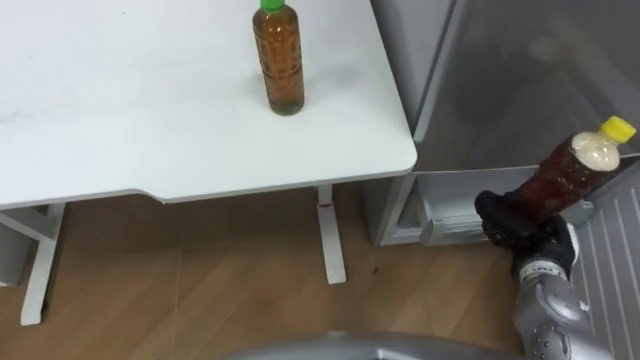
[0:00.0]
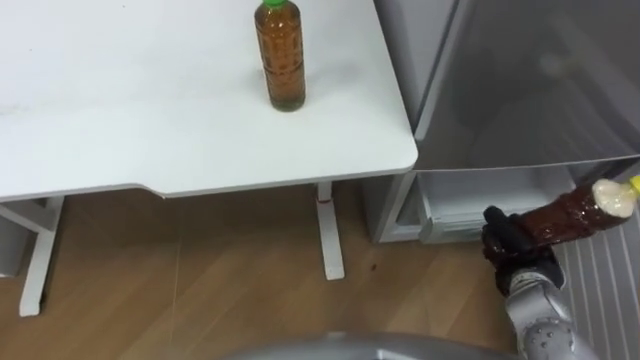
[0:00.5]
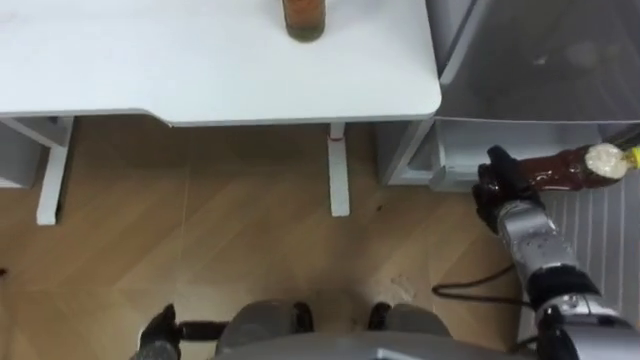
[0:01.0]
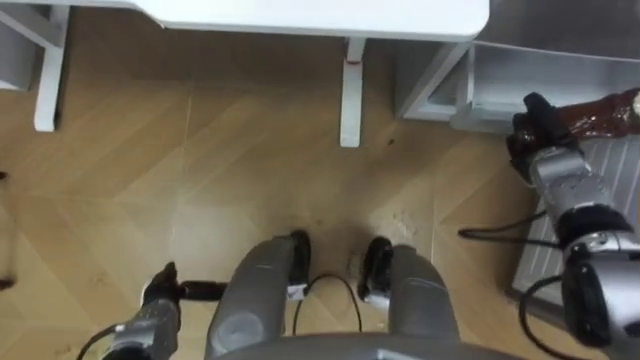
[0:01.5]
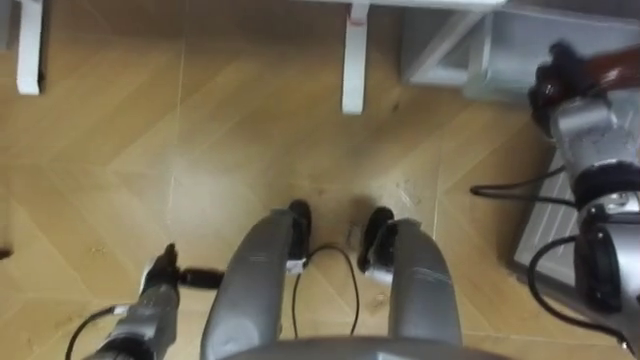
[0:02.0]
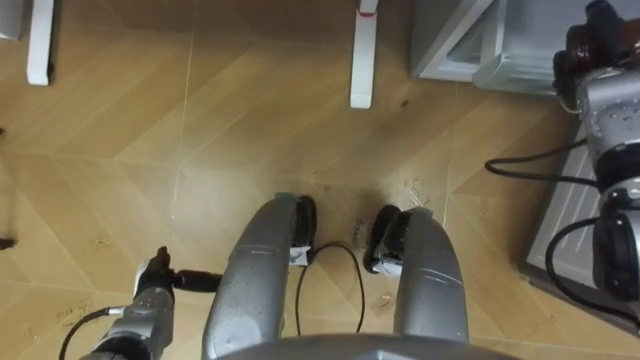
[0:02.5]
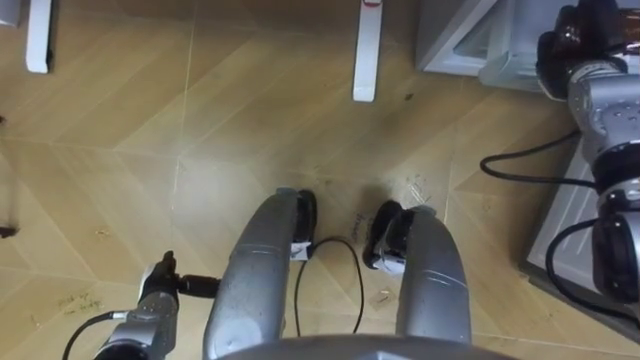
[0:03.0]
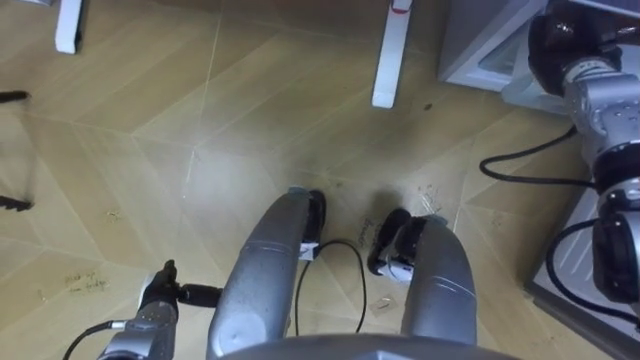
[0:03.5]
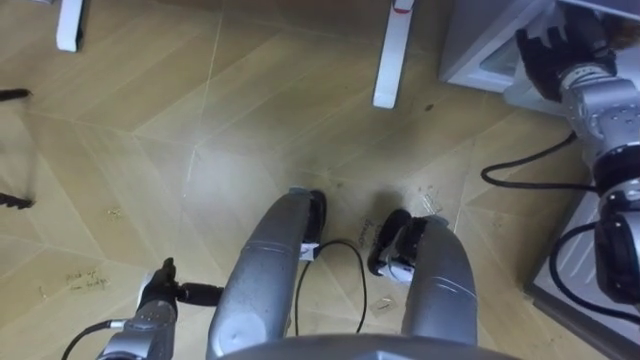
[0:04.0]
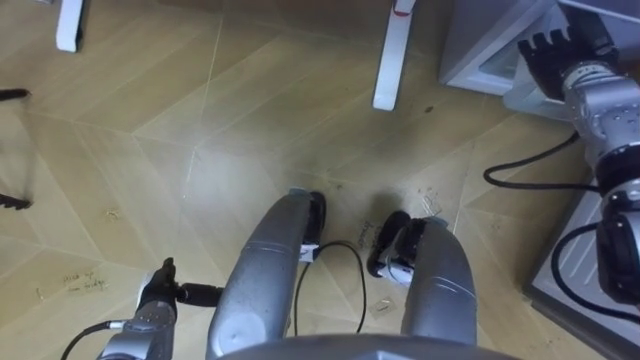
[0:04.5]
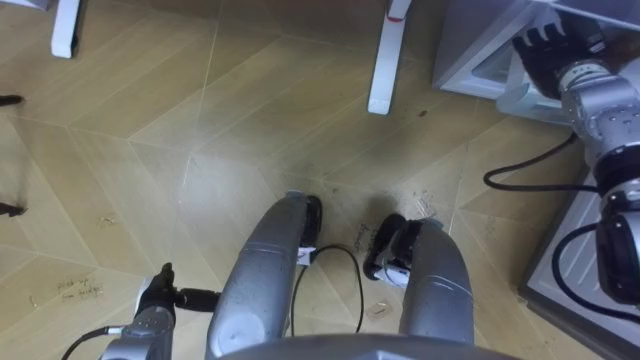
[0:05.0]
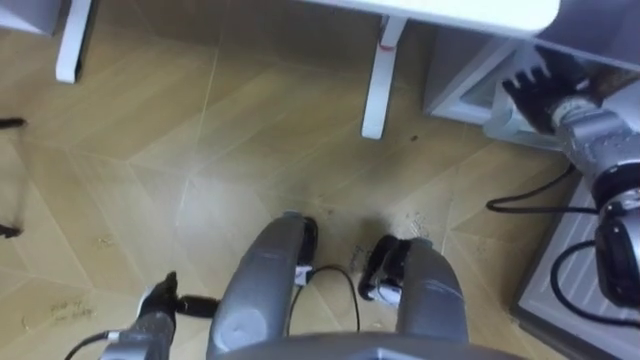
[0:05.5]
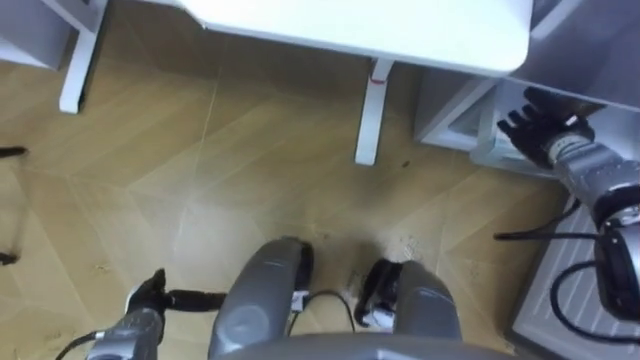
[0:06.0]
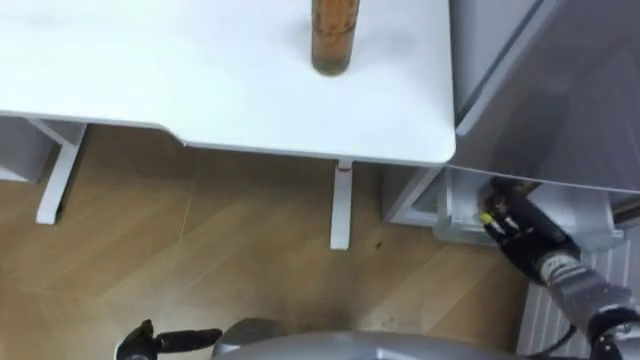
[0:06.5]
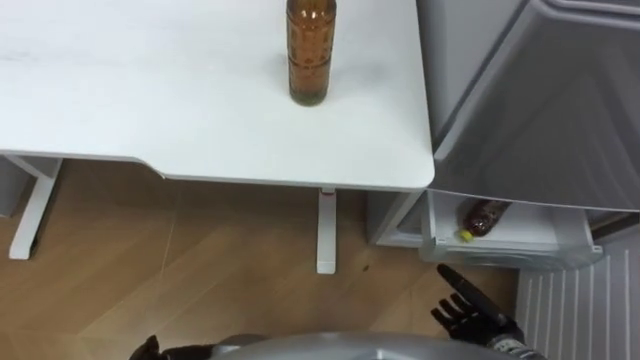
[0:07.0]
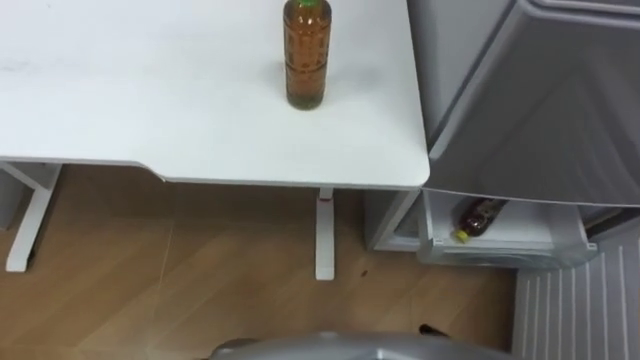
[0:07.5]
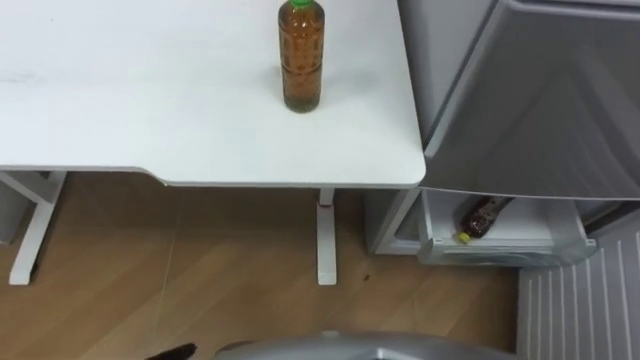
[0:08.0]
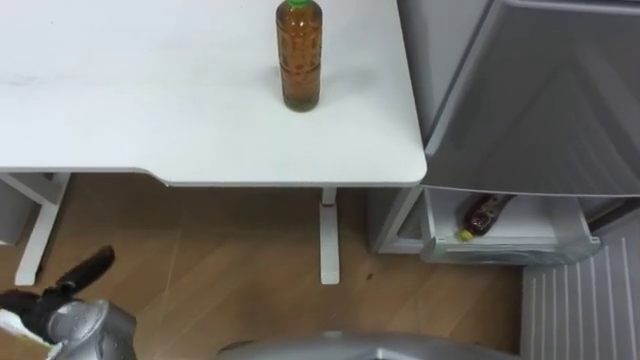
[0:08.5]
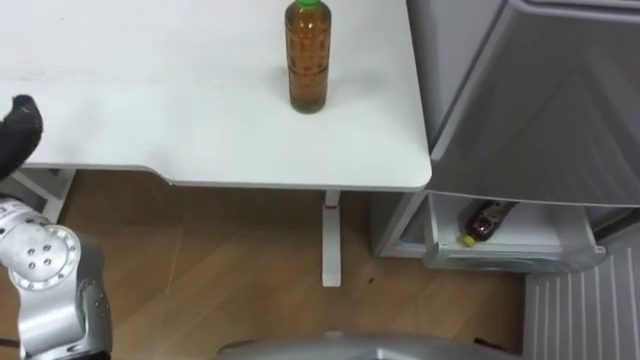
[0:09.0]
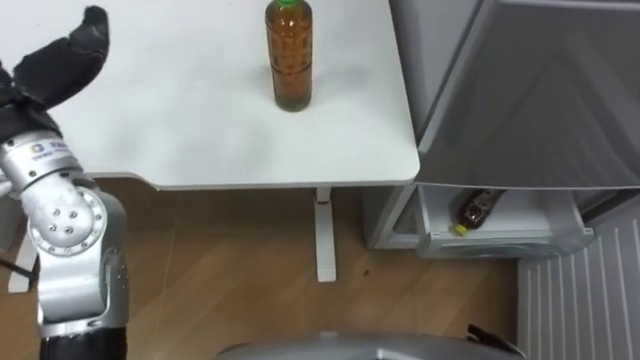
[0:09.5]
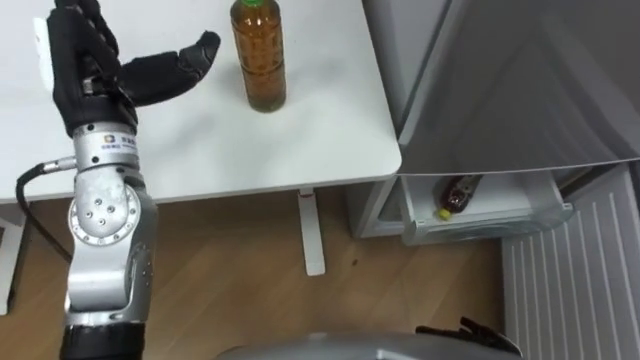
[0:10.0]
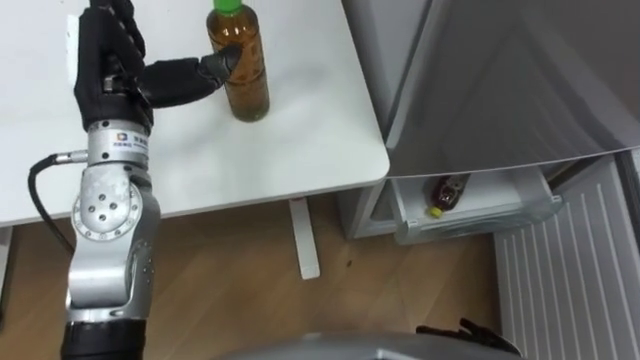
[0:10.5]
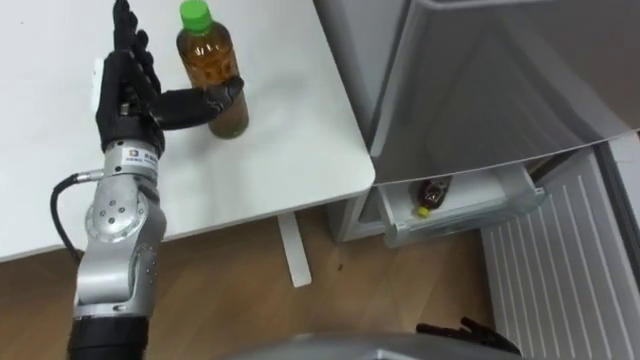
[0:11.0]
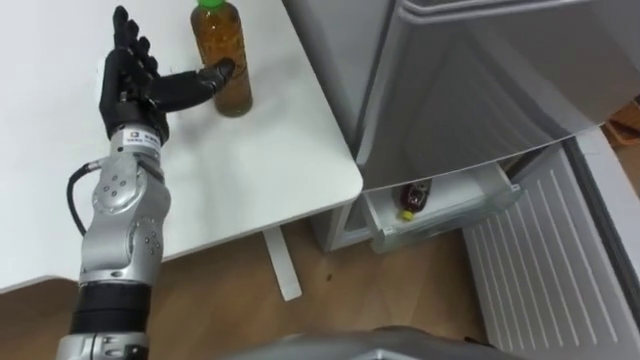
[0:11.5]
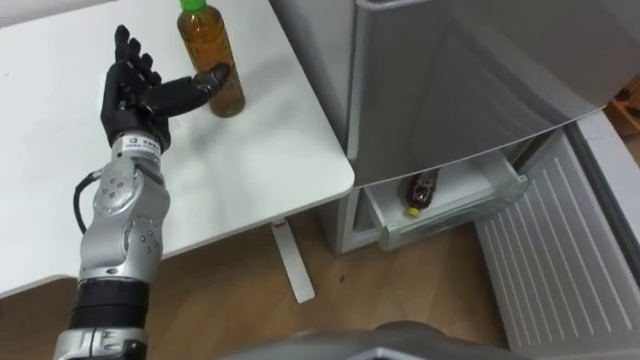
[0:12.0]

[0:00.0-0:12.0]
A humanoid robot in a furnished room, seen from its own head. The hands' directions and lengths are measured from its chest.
Task of the whole recording: Place the drink on the table on the bottom shelf of the refrigerator, then close the drawer and the refrigerator door.
0:00.0 to 0:02.0: The right hand moves forward, some 20 cm.
0:02.0 to 0:04.0: The right hand moves approximately 5 cm, and opens.
0:04.0 to 0:06.0: The right hand shifts roughly 10 cm downward and backward.
0:10.0 to 0:12.0: The left hand is displaced downward by some 10 cm.

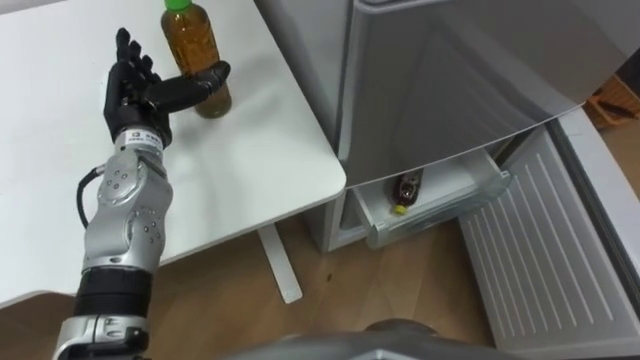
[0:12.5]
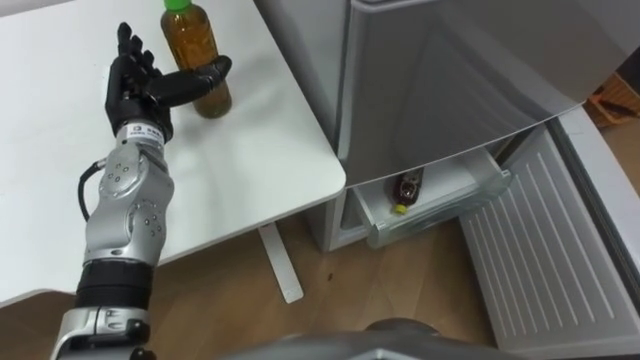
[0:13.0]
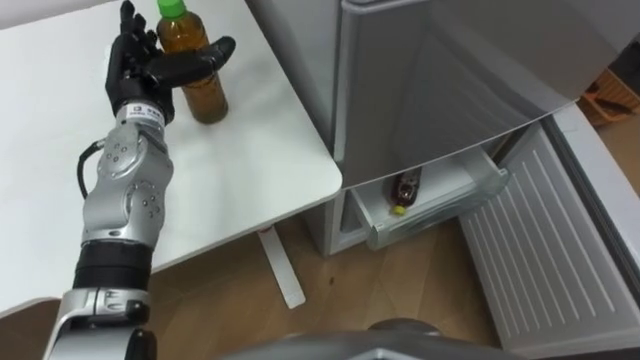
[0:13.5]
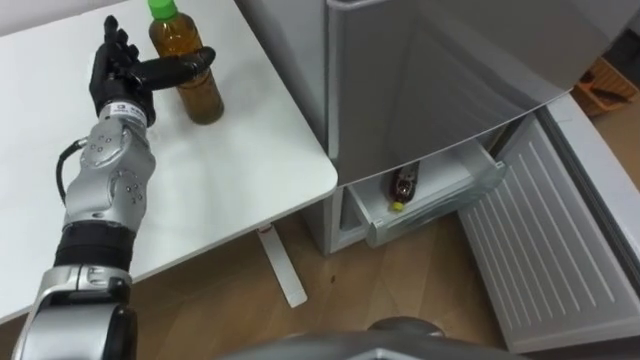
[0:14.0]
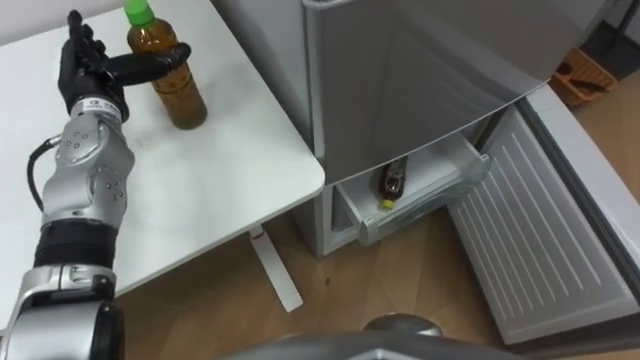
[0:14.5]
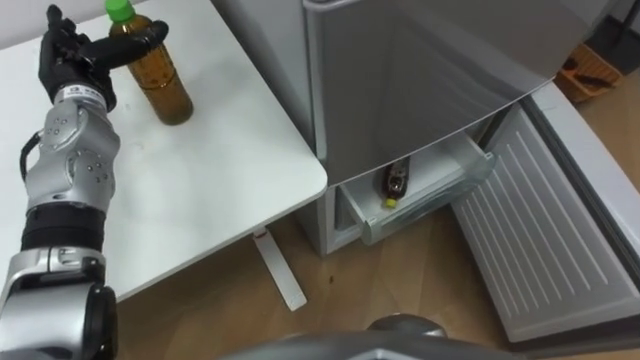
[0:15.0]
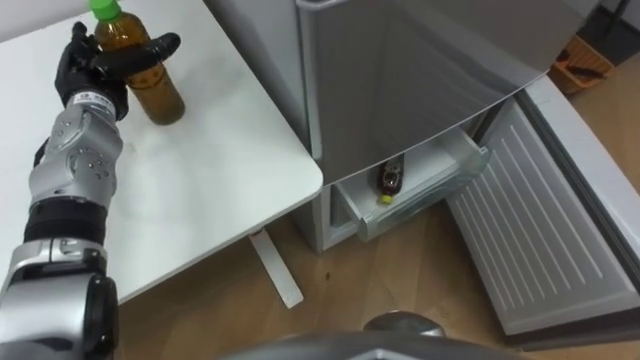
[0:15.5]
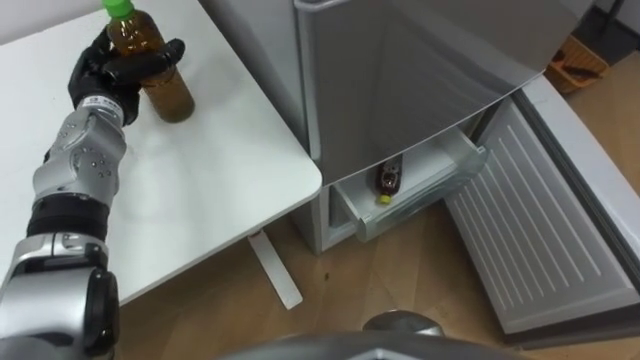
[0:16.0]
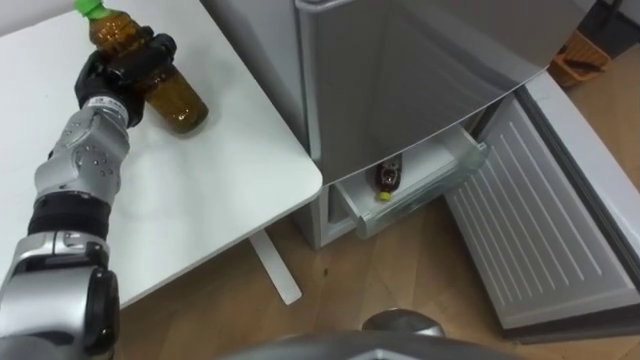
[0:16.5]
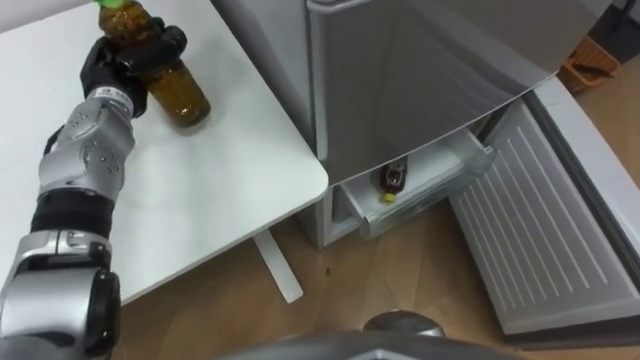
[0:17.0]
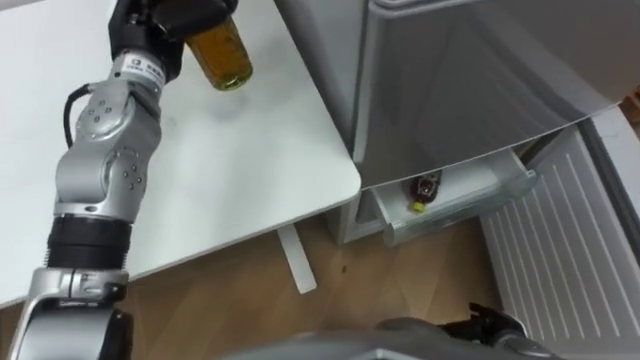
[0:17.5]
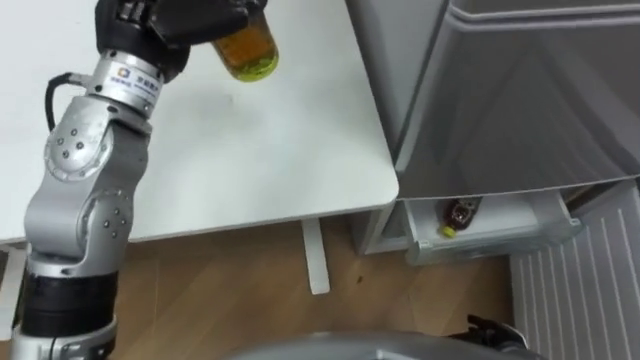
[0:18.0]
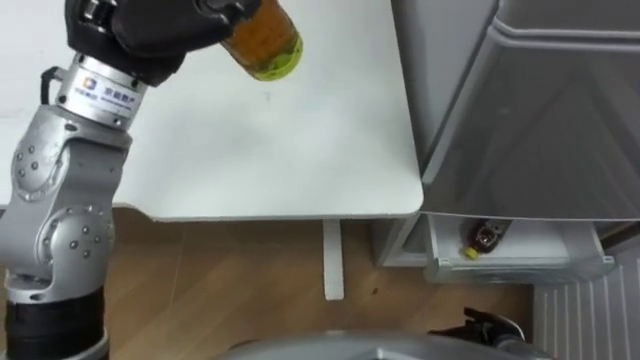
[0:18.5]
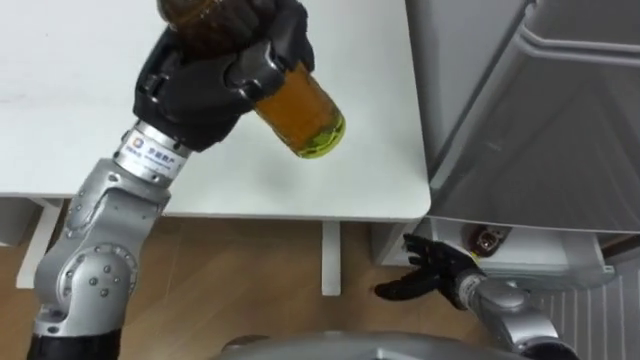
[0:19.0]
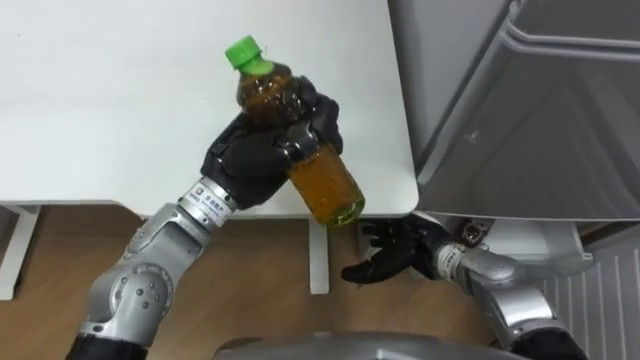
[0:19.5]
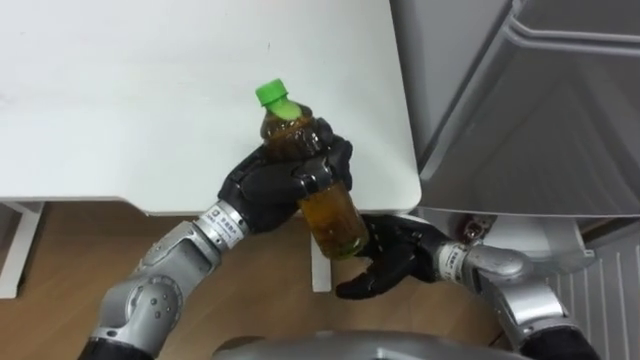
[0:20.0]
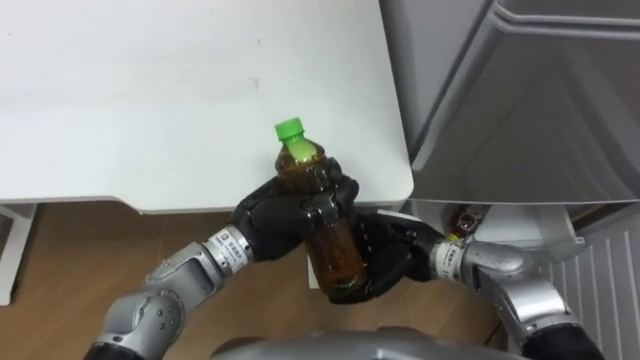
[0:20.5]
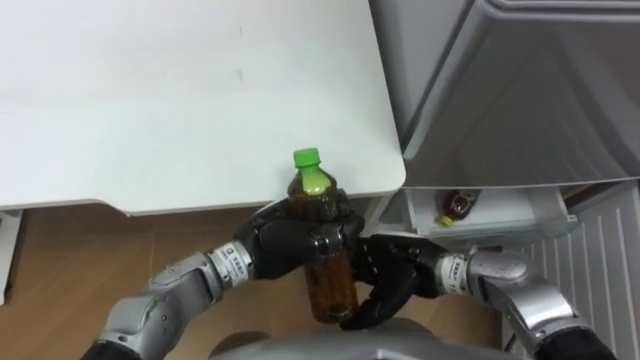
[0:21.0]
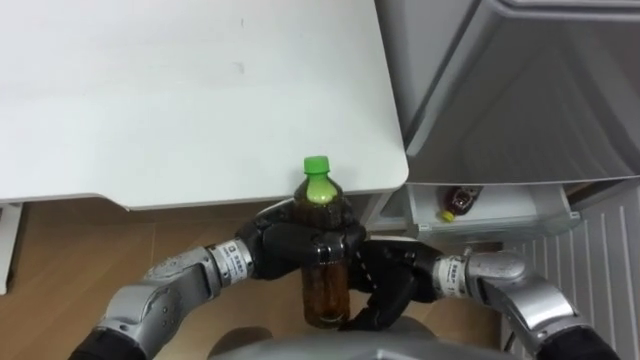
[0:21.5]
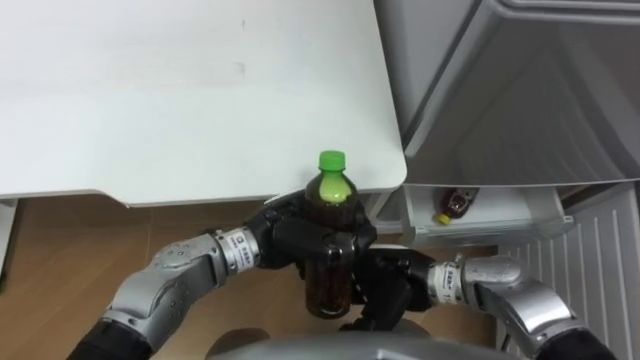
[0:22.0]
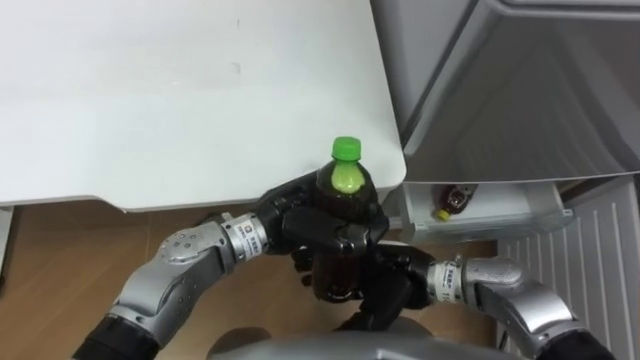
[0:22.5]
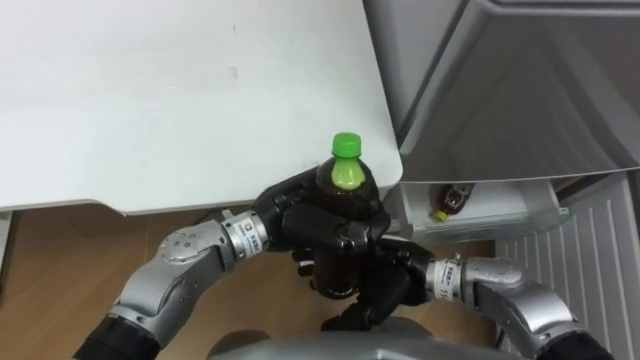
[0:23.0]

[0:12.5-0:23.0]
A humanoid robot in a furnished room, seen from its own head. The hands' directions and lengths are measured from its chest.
Task of the whole recording: Place the drink on the table on the bottom shelf of the refrigerator, then close the drawer and the refrigerator door.
0:12.5 to 0:14.5: The left hand ends up about 5 cm from where it was.
0:14.5 to 0:16.5: The left hand closes its fingers.
0:16.5 to 0:19.0: The left hand is displaced upward, to the right and backward by approximately 25 cm.
0:19.0 to 0:21.0: The left hand travels downward by about 20 cm. The right hand moves to the left and upward, roughly 10 cm.
